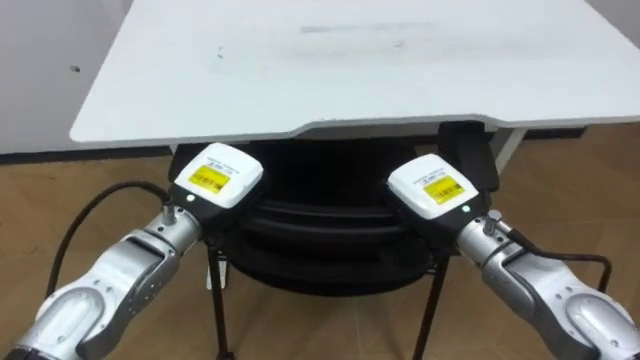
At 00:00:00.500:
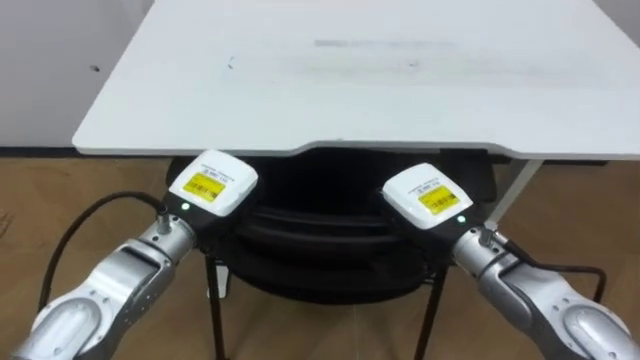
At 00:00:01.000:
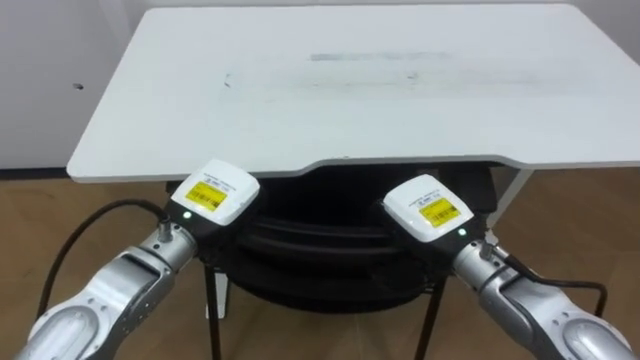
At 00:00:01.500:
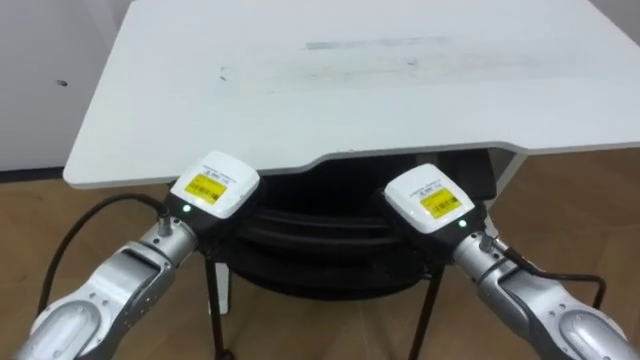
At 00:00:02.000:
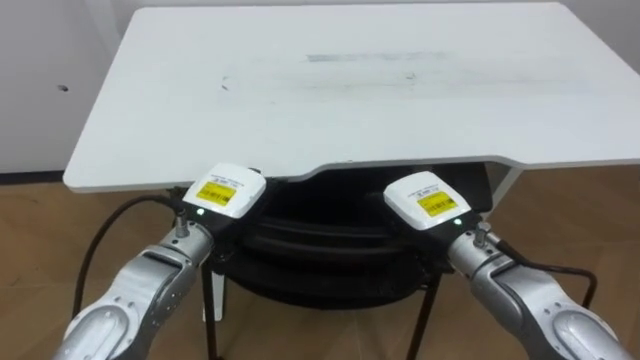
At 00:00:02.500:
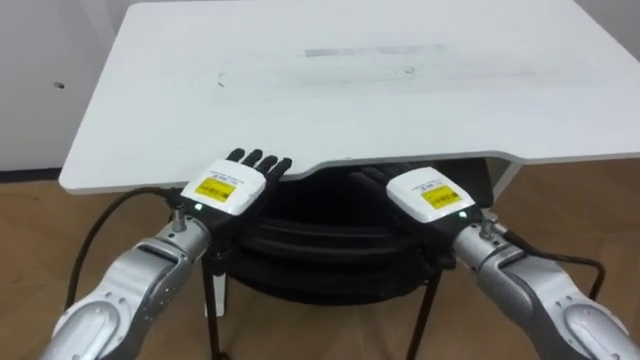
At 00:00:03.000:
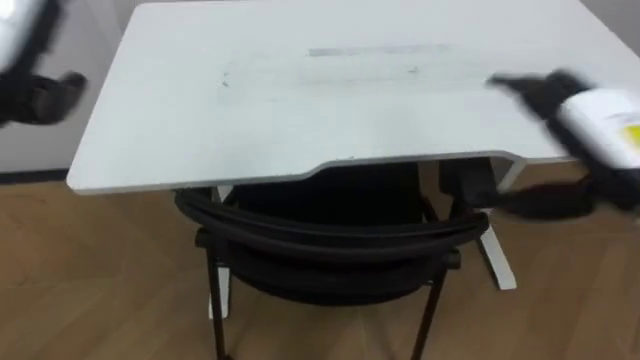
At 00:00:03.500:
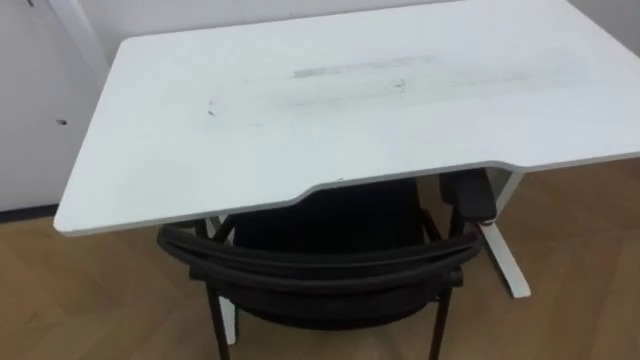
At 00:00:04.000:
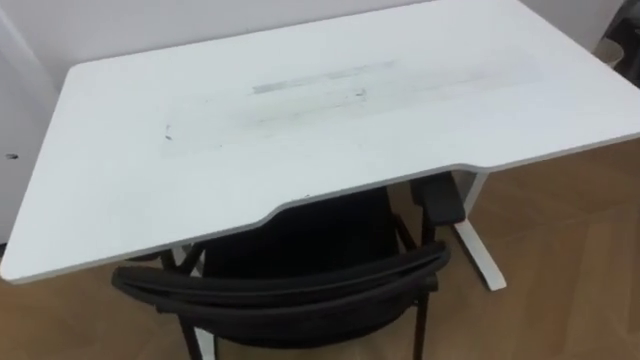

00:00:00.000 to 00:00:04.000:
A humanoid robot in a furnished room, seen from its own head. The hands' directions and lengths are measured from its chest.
Task of the whole recording: Push the chair under the table.
00:00:00.000 to 00:00:02.000: The left hand opens. The right hand opens its fingers.

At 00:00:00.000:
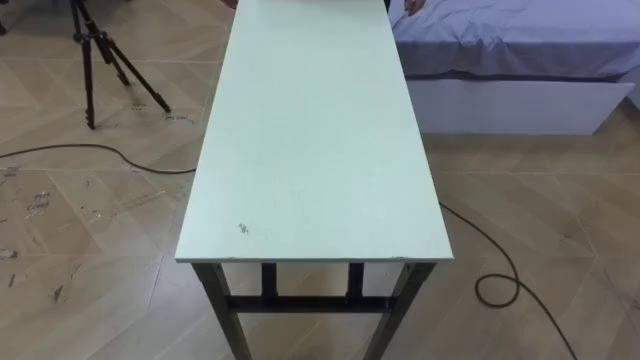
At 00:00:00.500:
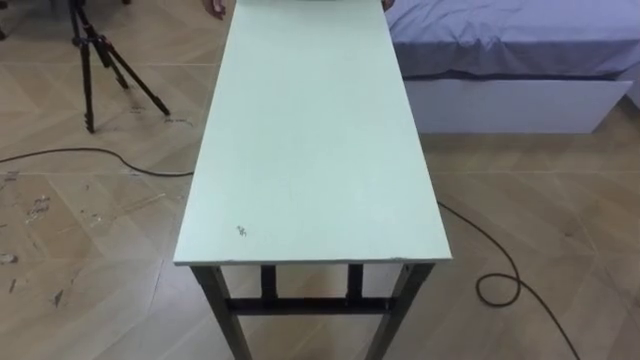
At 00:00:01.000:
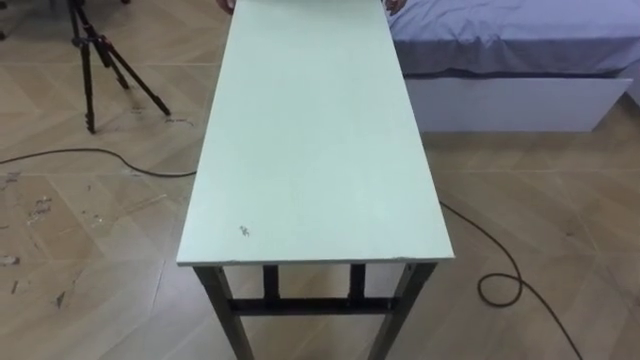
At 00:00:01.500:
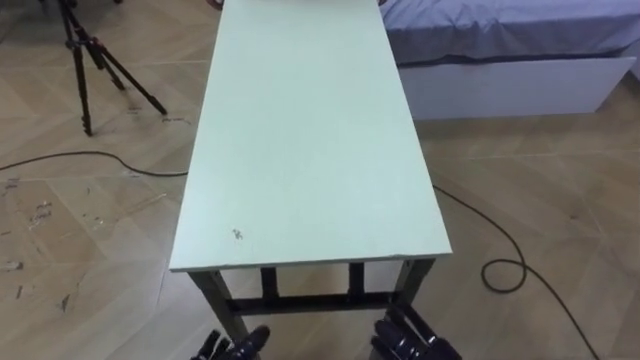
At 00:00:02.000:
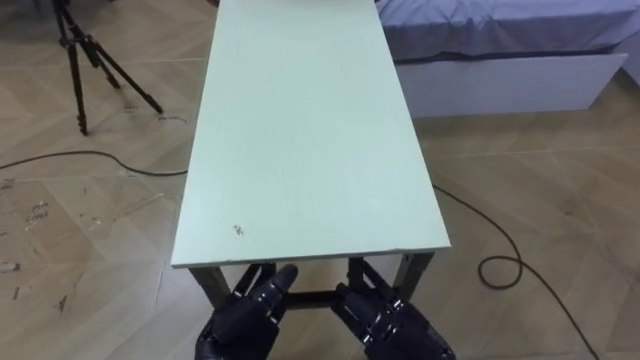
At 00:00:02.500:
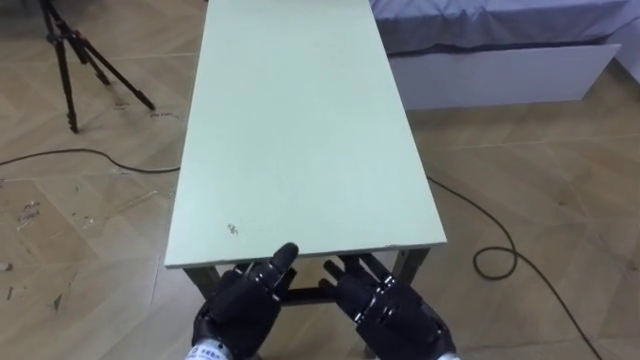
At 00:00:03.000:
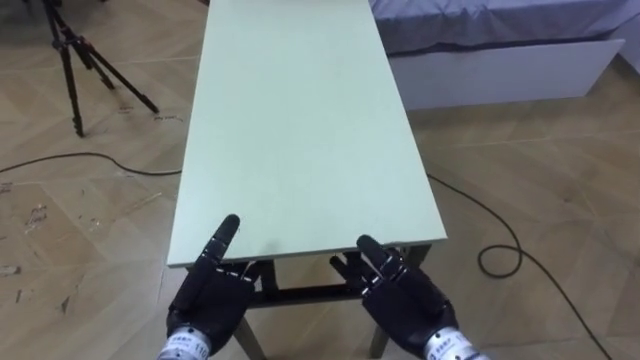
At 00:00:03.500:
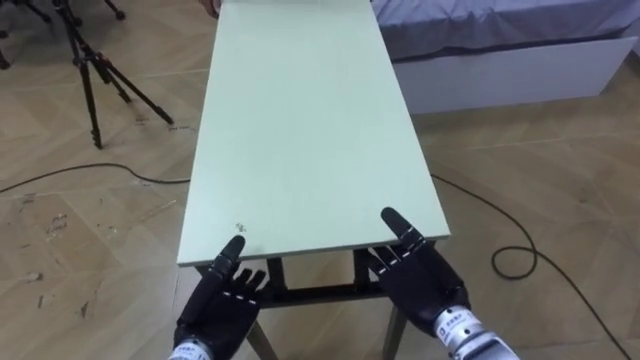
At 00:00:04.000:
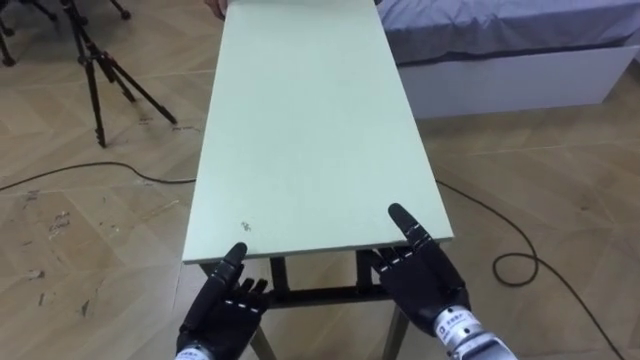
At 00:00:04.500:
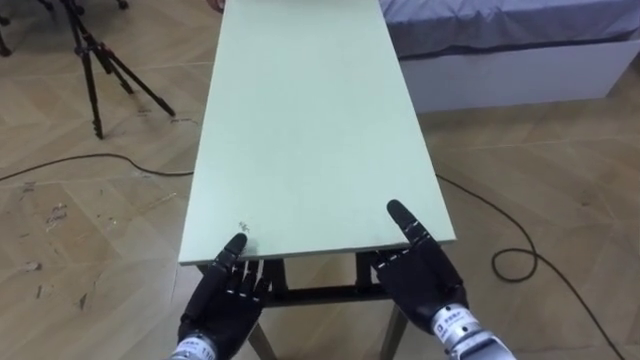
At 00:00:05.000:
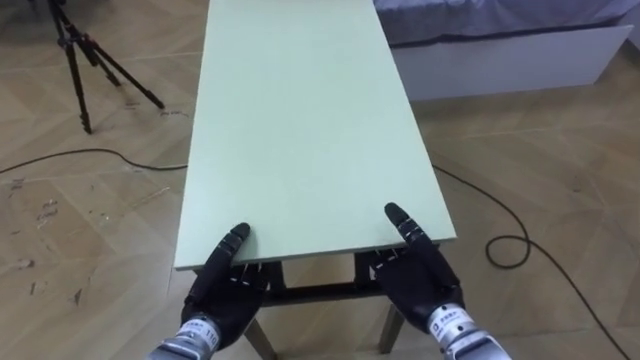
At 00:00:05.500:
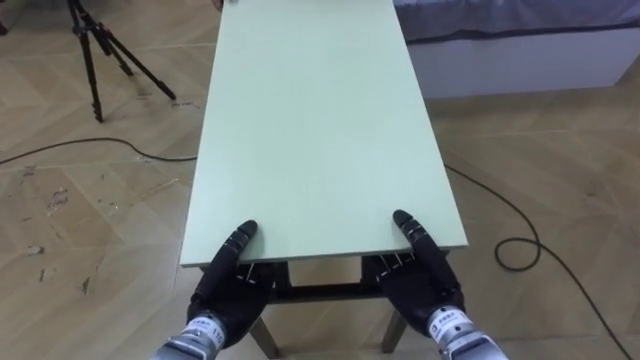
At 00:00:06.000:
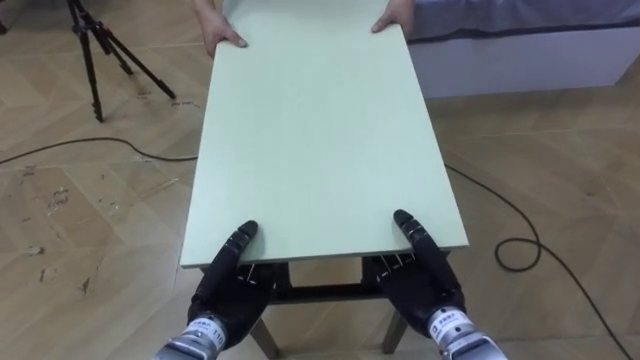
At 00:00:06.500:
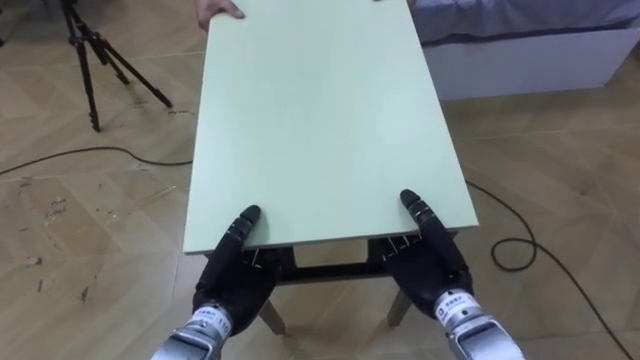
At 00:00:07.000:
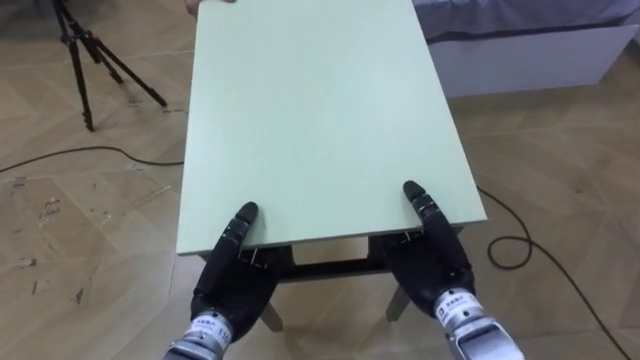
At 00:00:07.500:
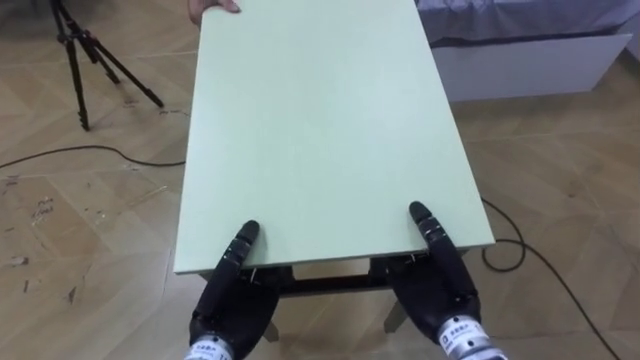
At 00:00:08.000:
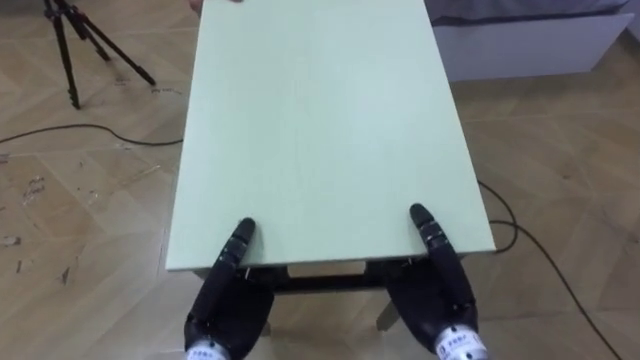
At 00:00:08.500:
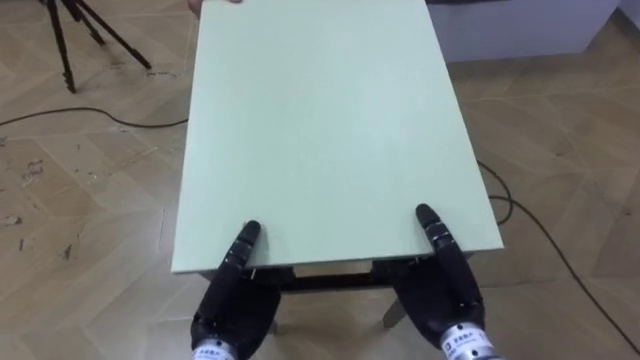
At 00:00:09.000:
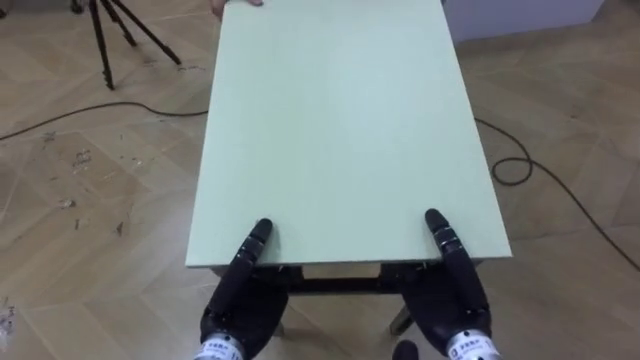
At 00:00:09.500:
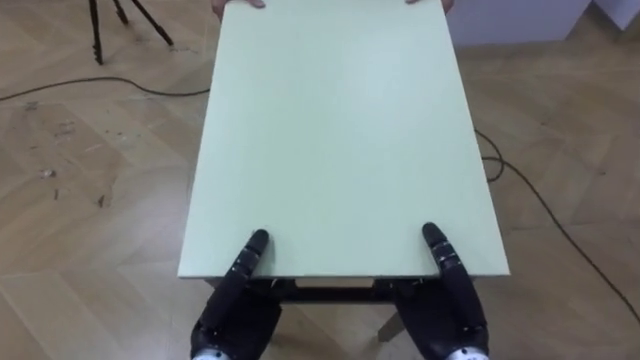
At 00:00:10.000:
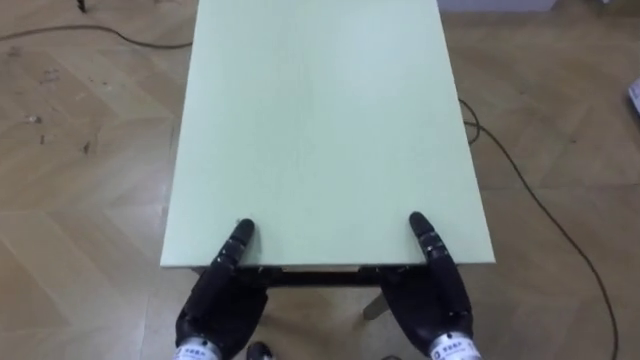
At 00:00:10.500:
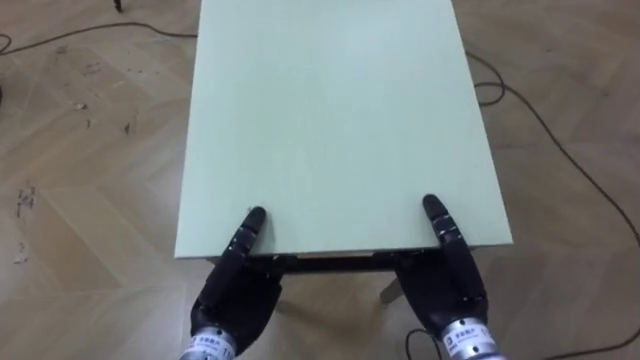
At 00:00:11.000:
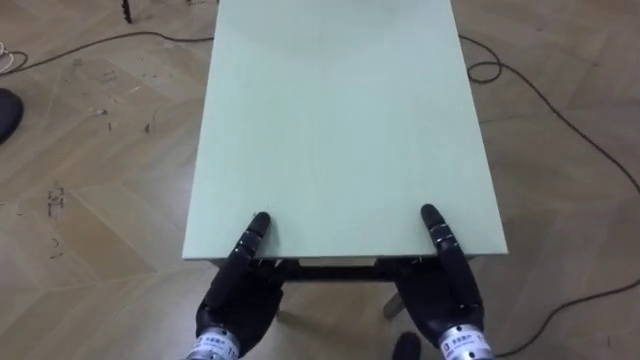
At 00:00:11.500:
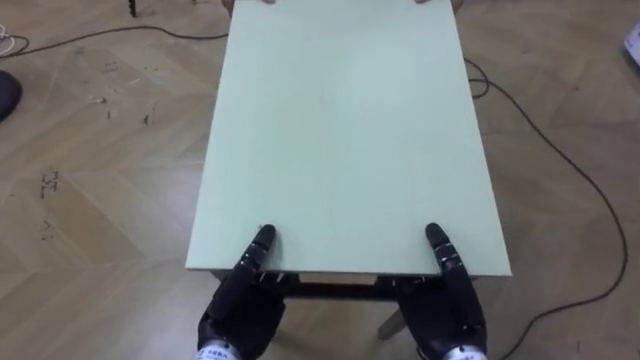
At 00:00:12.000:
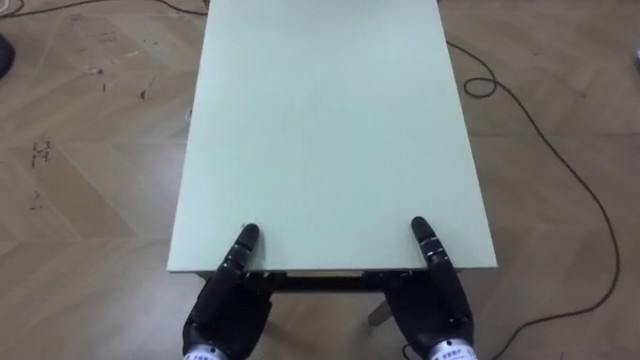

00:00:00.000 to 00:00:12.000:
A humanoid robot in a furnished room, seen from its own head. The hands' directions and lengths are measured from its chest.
Task of the whole recording: Move the table to the back left with someone.
00:00:02.000 to 00:00:04.000: The right hand shifts roughly 5 cm forward.
00:00:04.000 to 00:00:06.000: The left hand closes its fingers. Meanwhile the right hand closes up.

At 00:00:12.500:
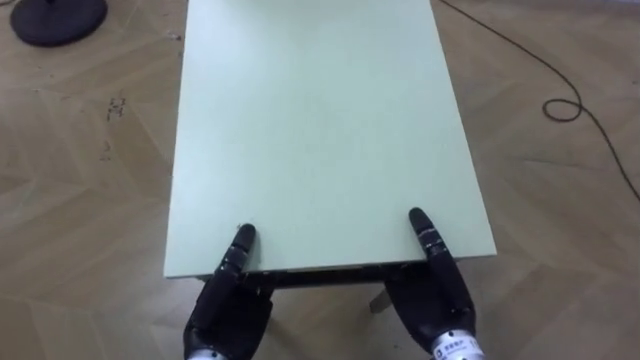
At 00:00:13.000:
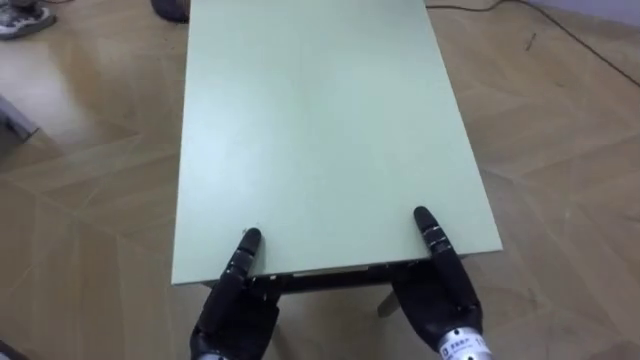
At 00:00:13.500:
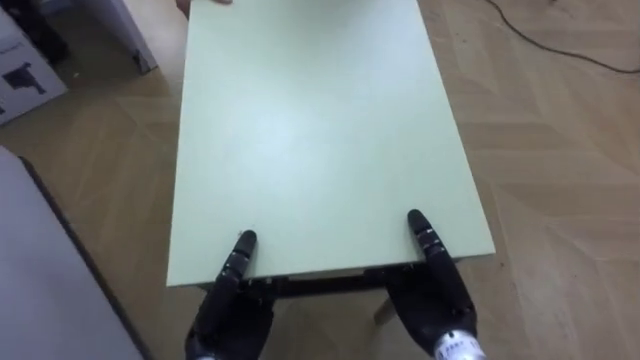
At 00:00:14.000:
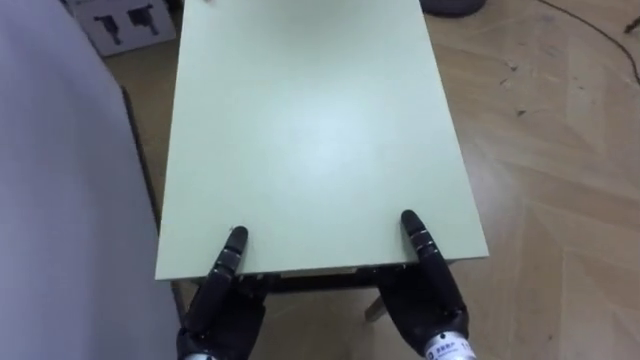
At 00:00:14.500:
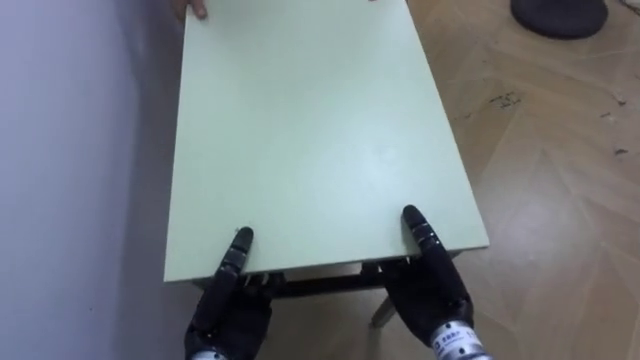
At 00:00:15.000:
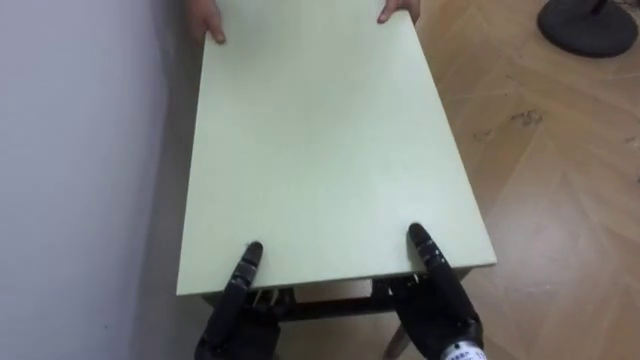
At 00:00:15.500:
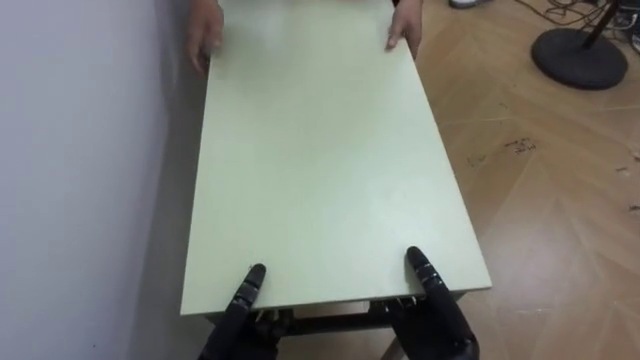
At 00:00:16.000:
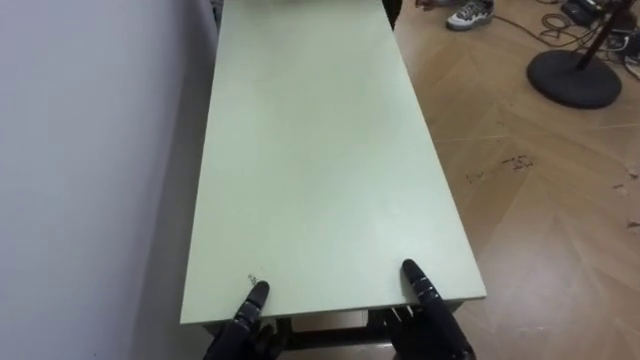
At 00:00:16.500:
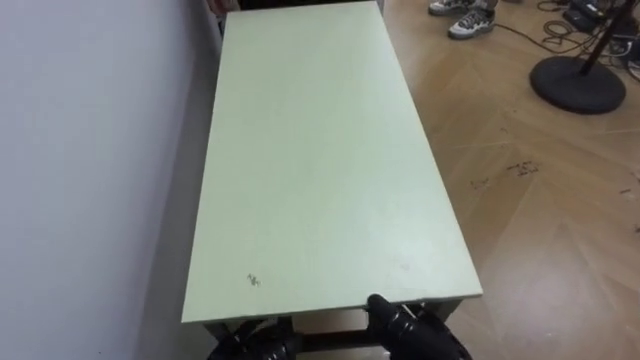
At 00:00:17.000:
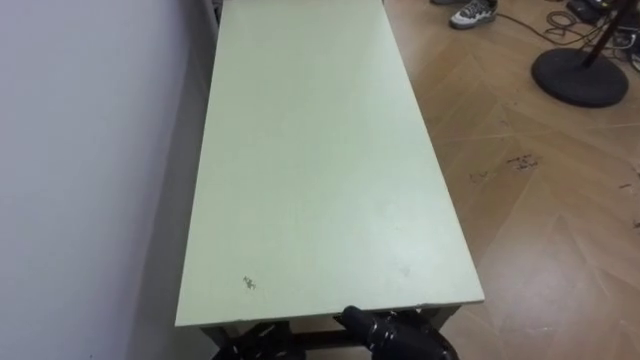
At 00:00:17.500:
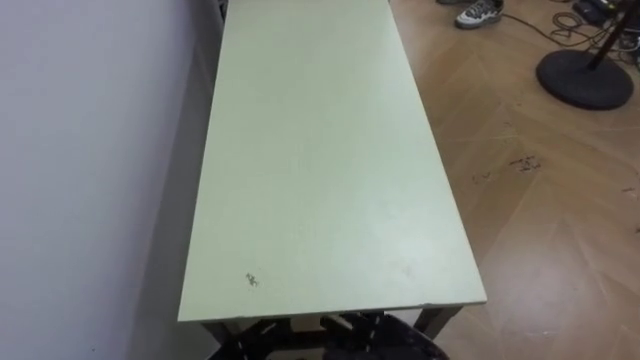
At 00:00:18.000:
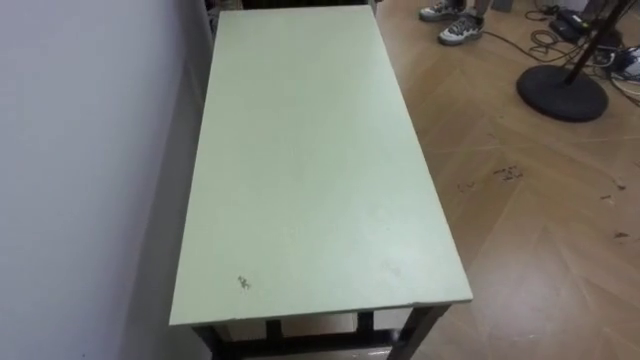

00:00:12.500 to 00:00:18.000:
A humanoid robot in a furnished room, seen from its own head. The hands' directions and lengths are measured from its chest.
Task of the whole recording: Move the table to the back left with someone.
00:00:12.500 to 00:00:14.500: The robot faces roughly 70 degrees further to its left.
00:00:14.500 to 00:00:16.000: The right hand goes approximately 5 cm downward.
